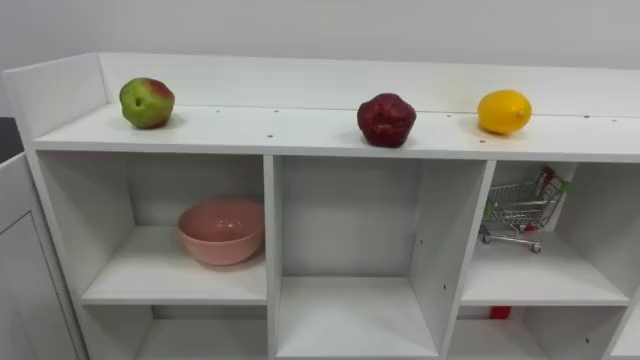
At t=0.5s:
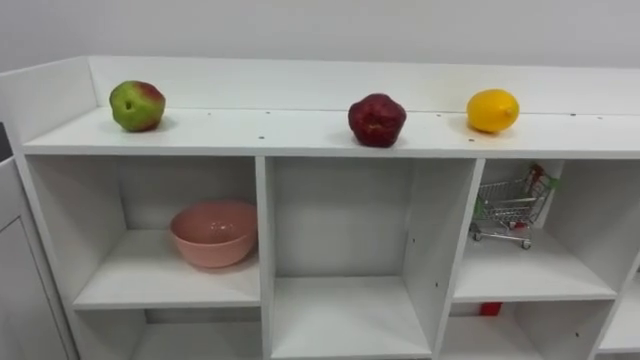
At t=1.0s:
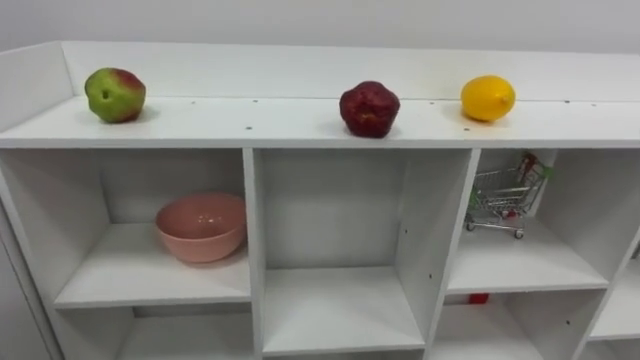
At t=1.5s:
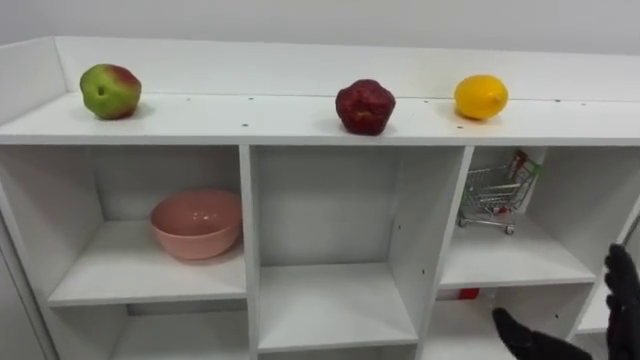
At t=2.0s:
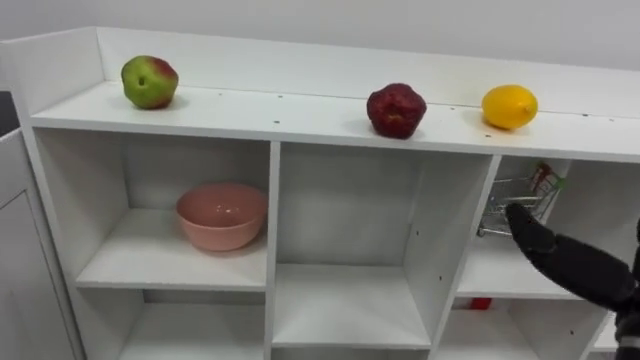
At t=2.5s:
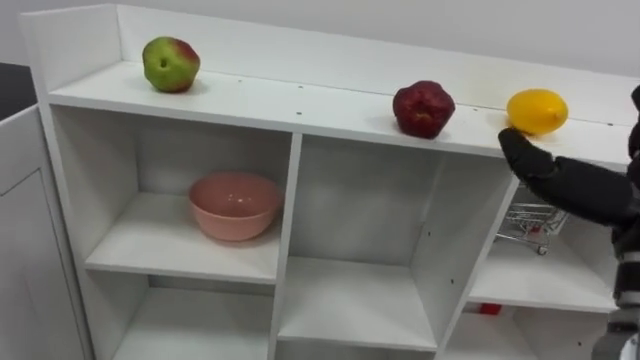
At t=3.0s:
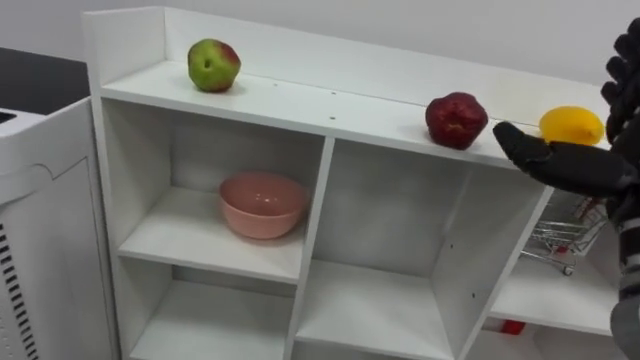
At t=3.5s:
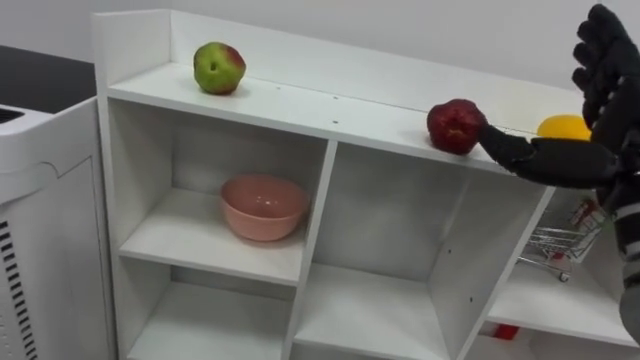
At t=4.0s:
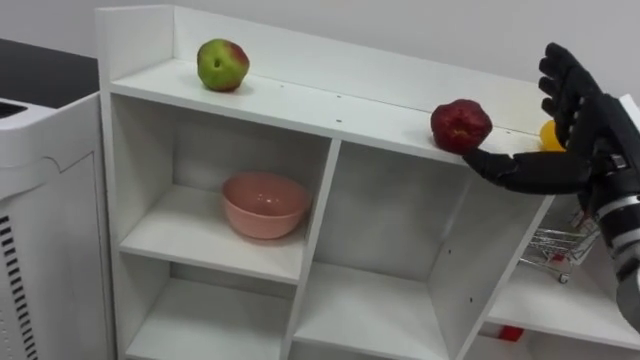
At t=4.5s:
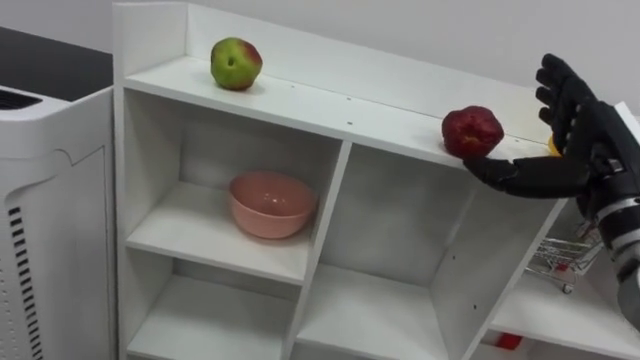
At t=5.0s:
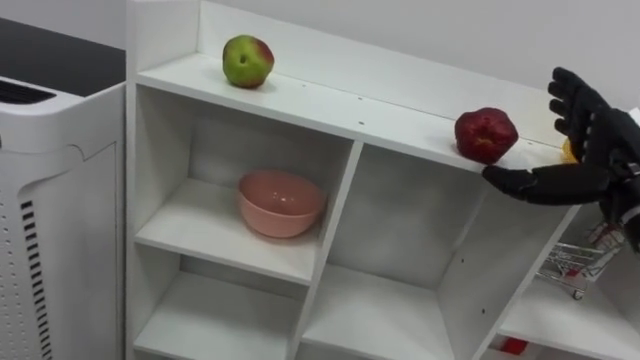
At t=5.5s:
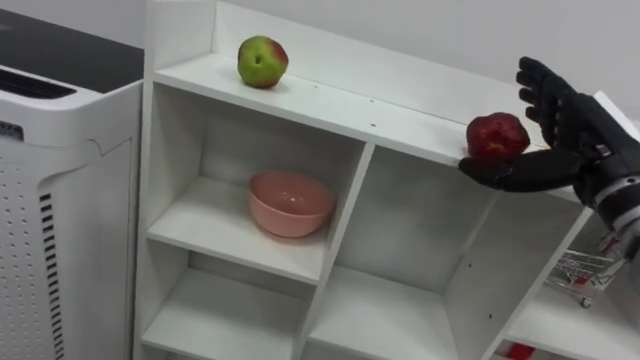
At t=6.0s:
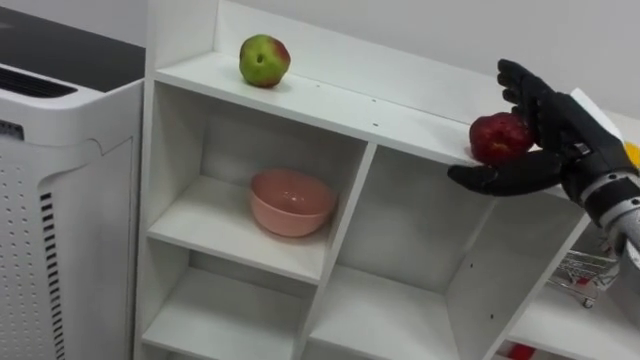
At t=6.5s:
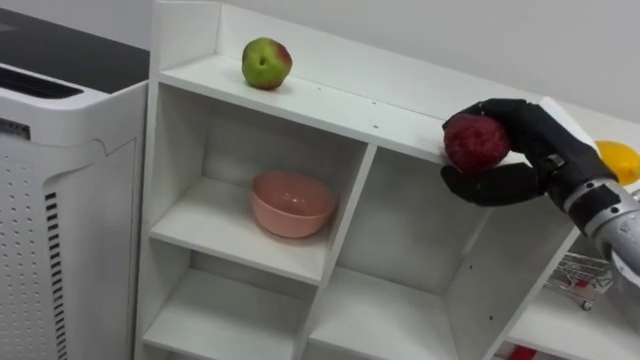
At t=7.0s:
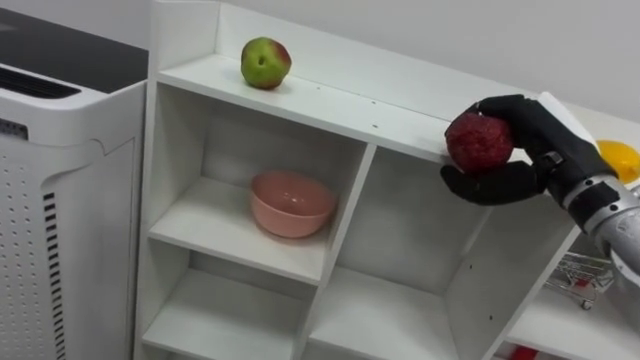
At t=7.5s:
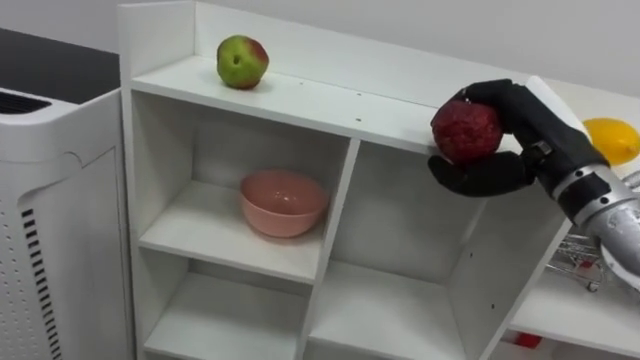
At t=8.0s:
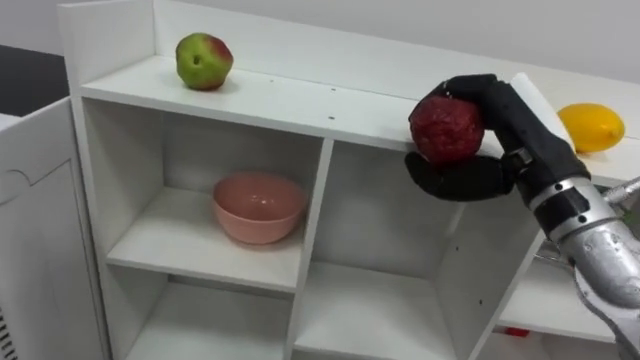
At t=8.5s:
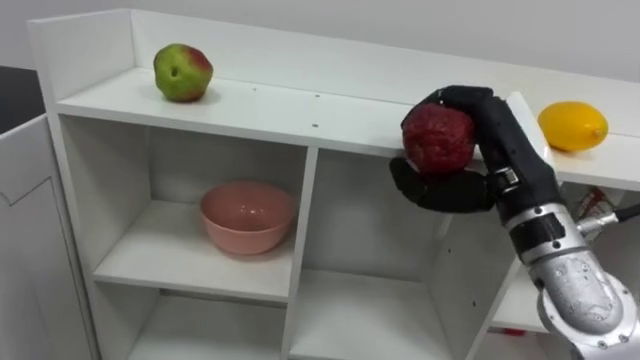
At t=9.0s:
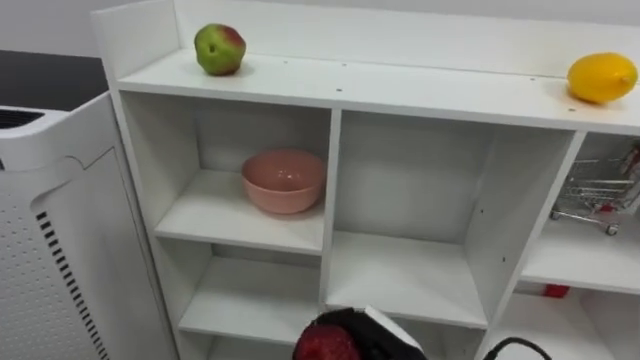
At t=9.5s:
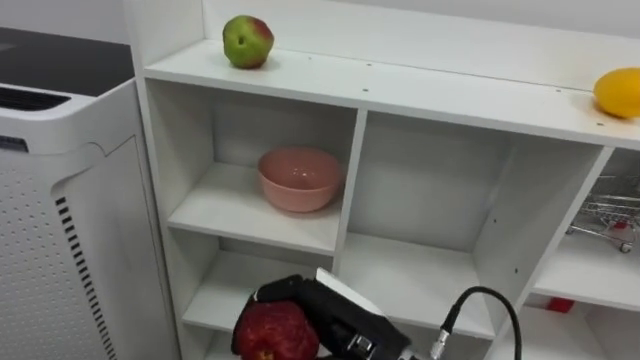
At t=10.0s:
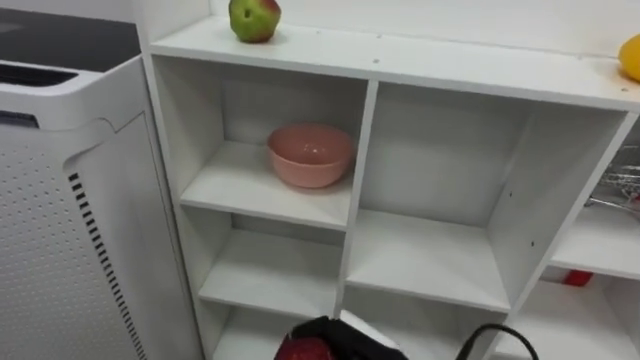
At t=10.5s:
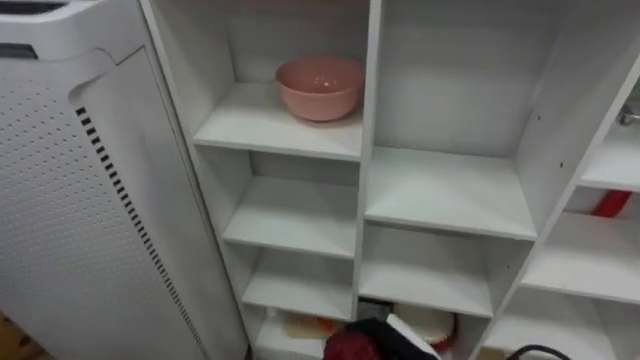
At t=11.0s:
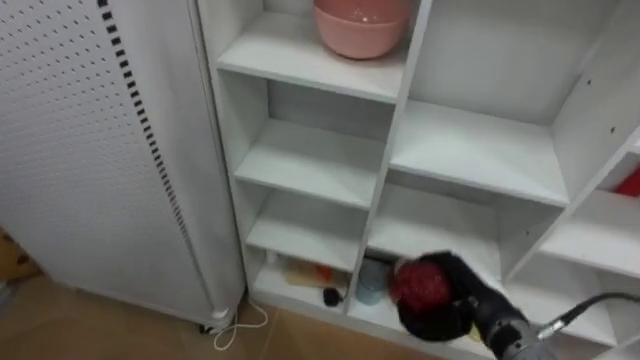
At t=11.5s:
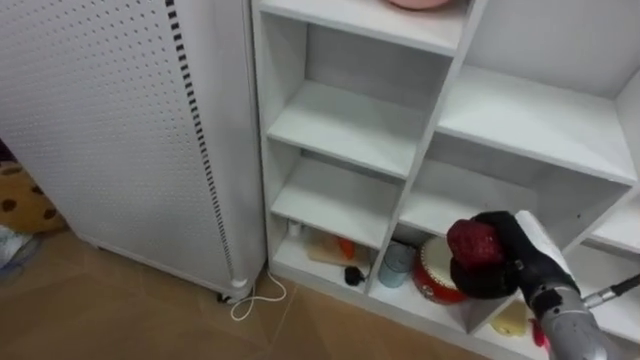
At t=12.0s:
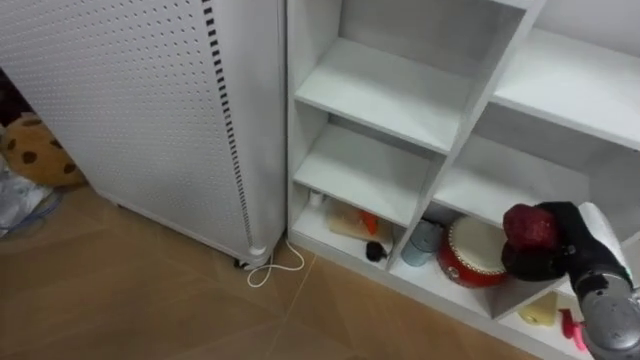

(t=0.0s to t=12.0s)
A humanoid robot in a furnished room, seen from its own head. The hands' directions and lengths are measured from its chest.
Task of the whole recording: Put the apple in the cell in the second column from the left and the second row from the top.
t=6.0s - t=8.0s: The right hand shifts approximately 5 cm to the left, and closes.
t=8.0s - t=10.0s: The right hand goes up and down, approximately 20 cm each way, reversing 2 times.

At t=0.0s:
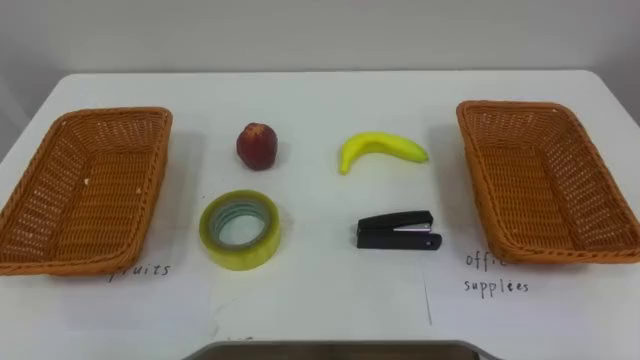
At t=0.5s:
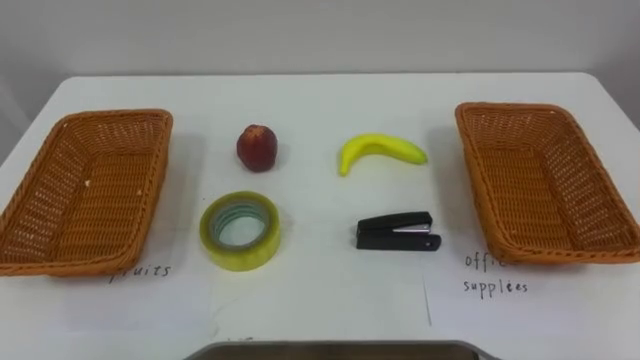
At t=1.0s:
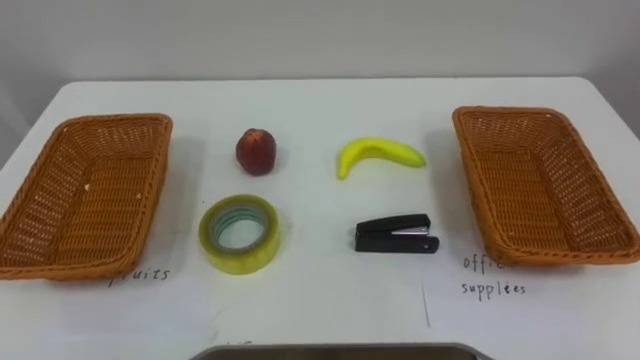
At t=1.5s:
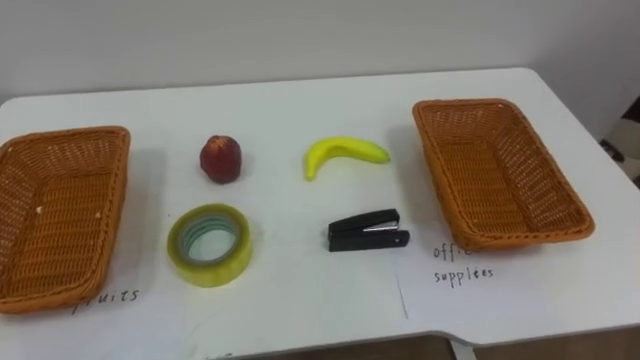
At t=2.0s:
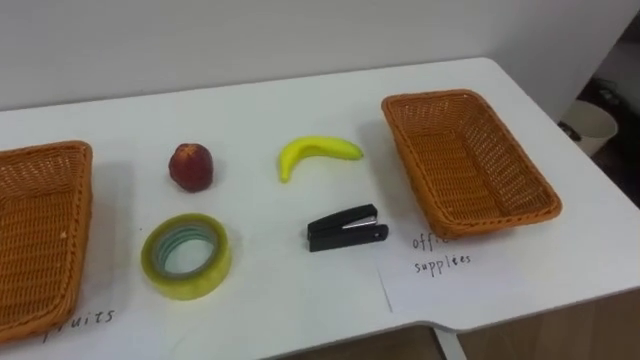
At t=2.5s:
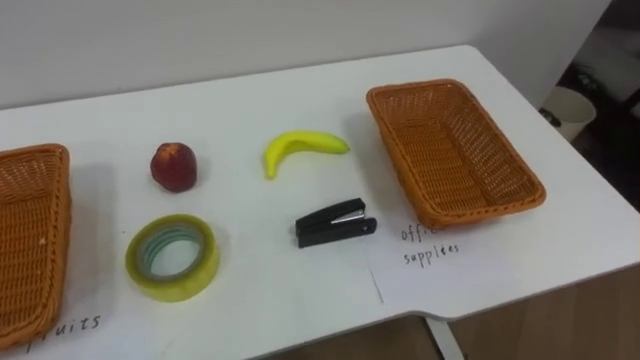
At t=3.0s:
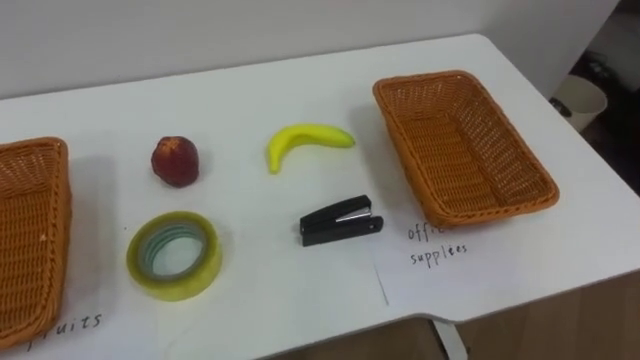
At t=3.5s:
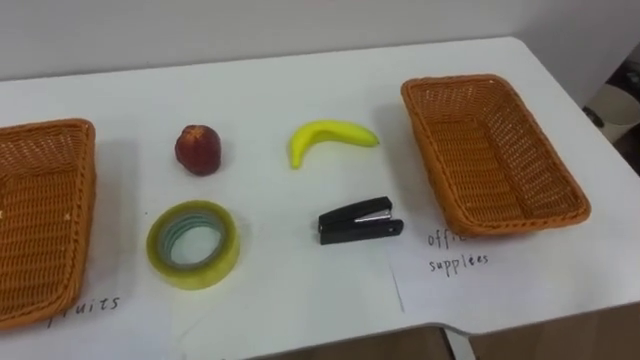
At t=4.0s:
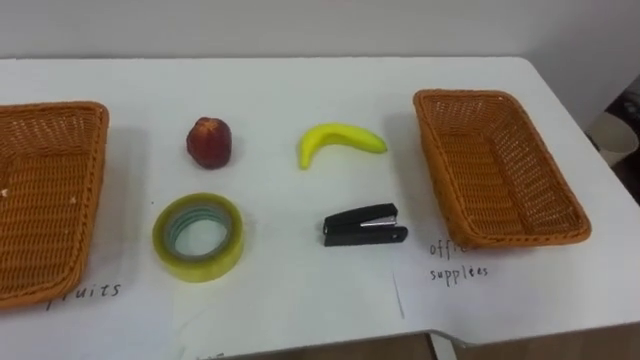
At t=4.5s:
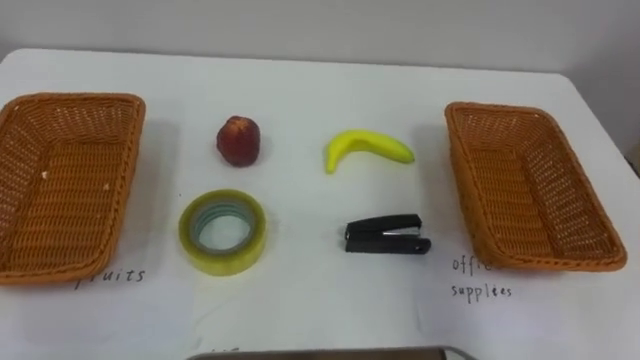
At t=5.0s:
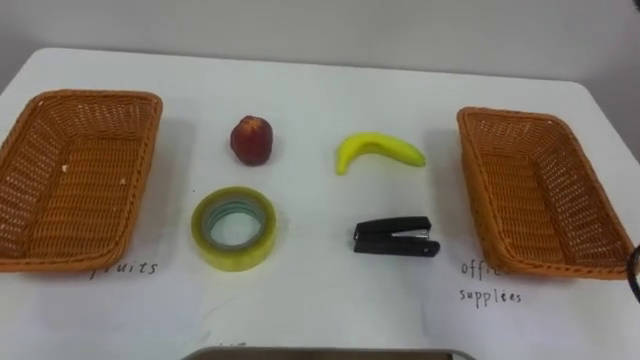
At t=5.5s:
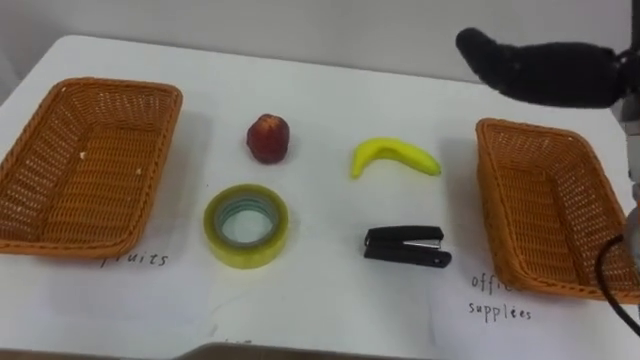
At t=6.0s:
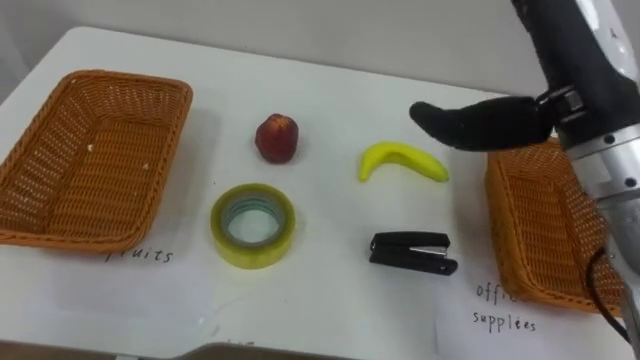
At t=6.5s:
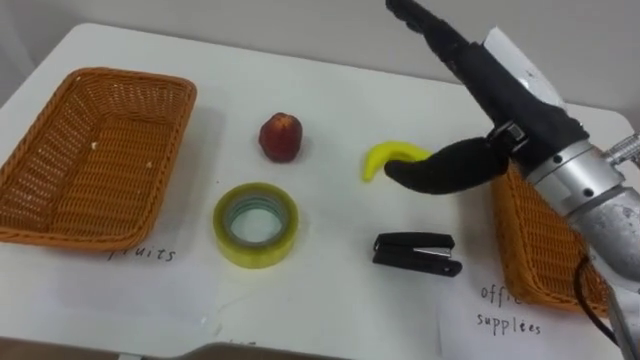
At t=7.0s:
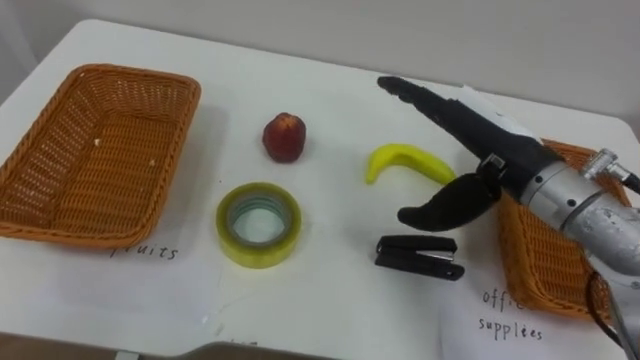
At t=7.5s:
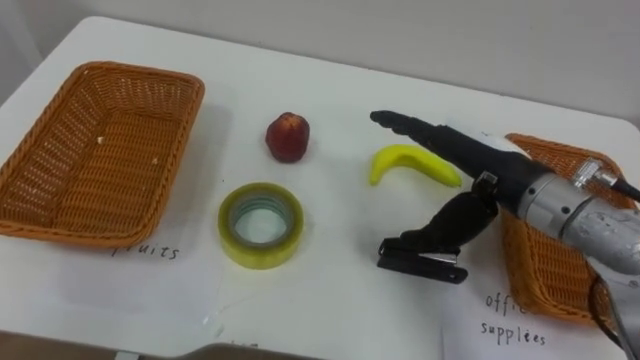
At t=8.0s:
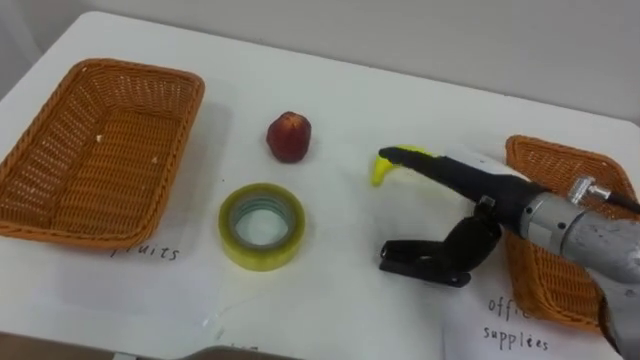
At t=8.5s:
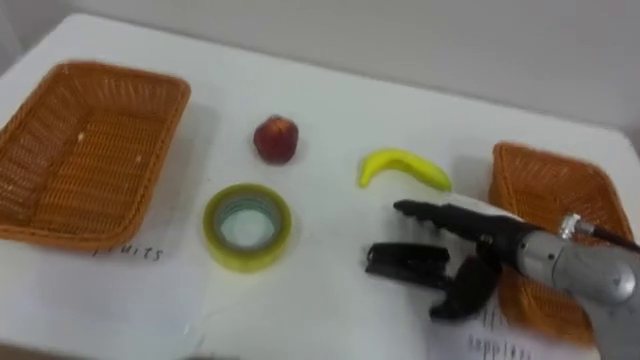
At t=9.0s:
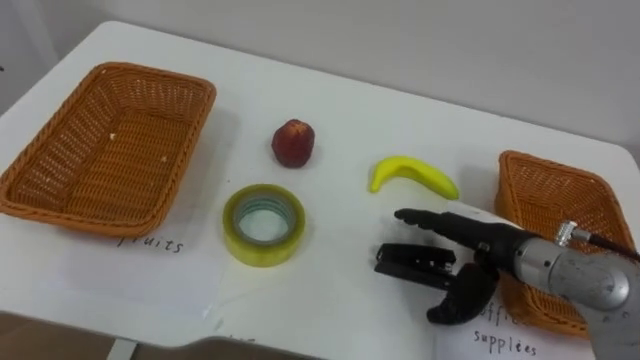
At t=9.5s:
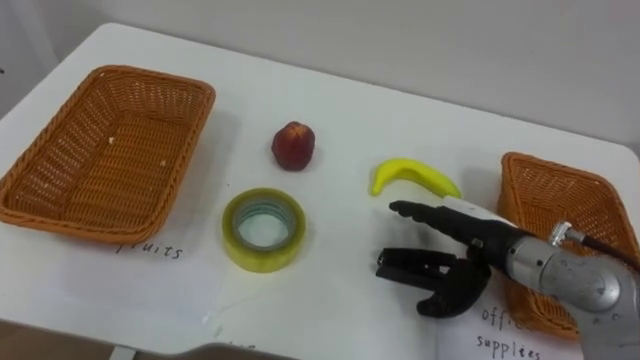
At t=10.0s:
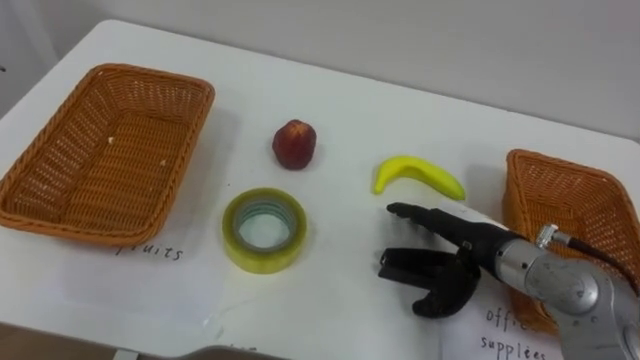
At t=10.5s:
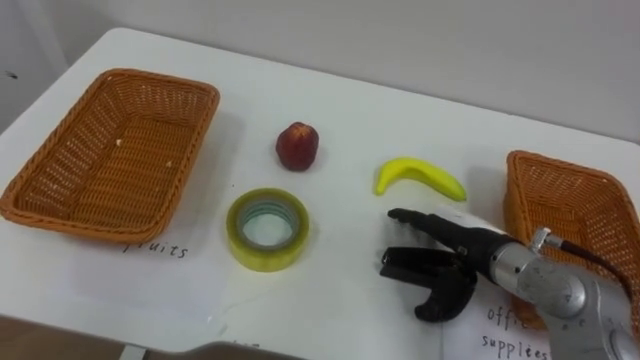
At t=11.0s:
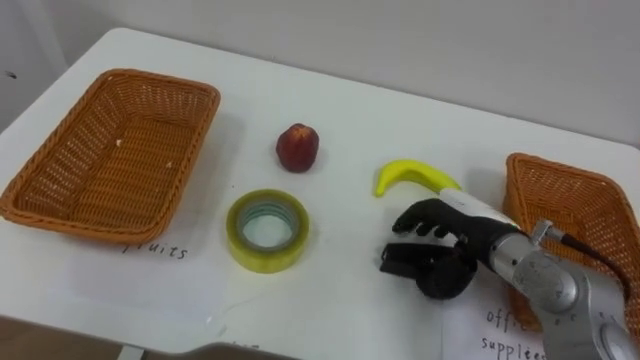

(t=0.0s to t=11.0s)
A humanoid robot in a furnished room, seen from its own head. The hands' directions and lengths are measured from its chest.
Task of the whole recording: Separate the items on the table and place them into the two baskets.
t=5.5s - t=7.5s: The right hand is displaced downward by approximately 15 cm.
t=7.5s - t=9.0s: The right hand shifts some 10 cm downward.
